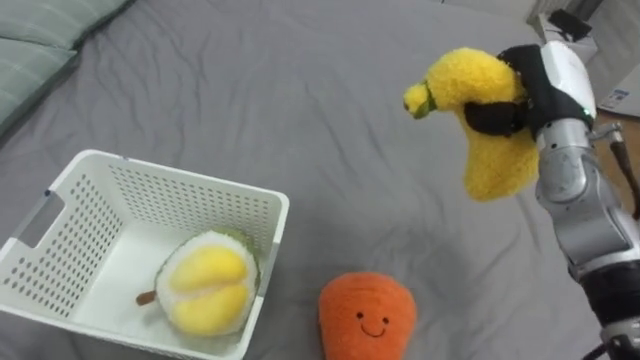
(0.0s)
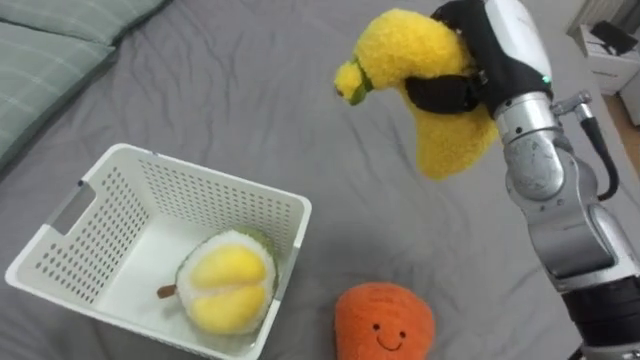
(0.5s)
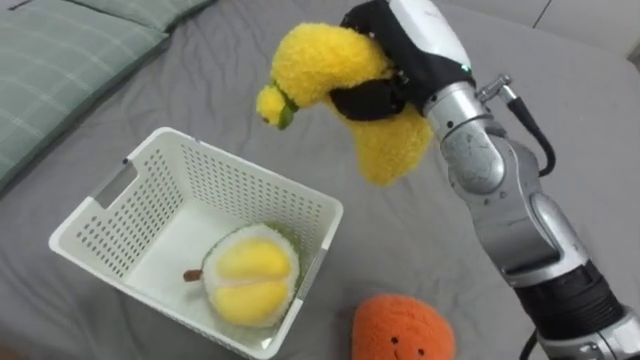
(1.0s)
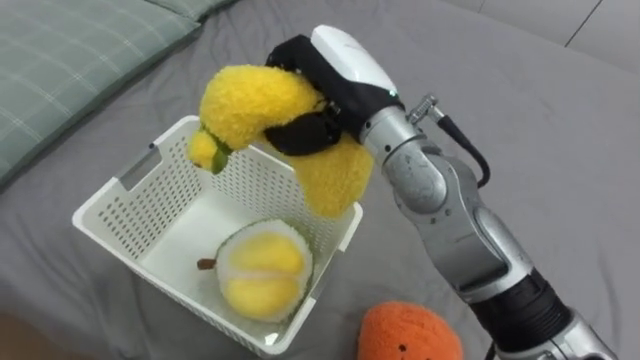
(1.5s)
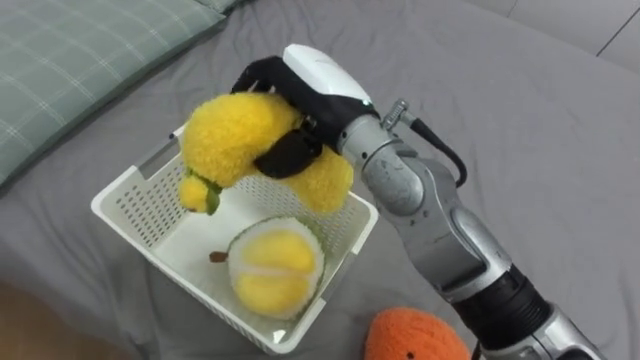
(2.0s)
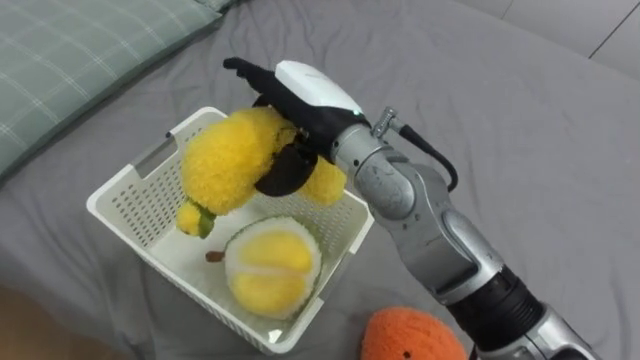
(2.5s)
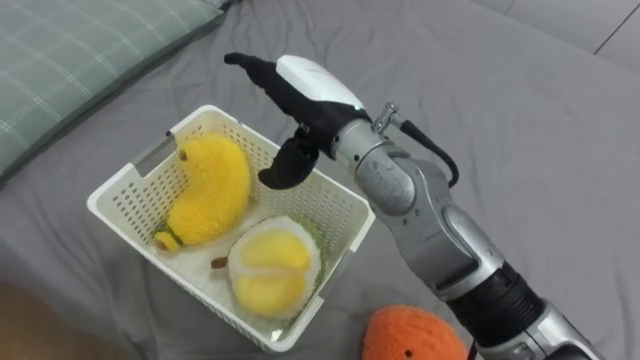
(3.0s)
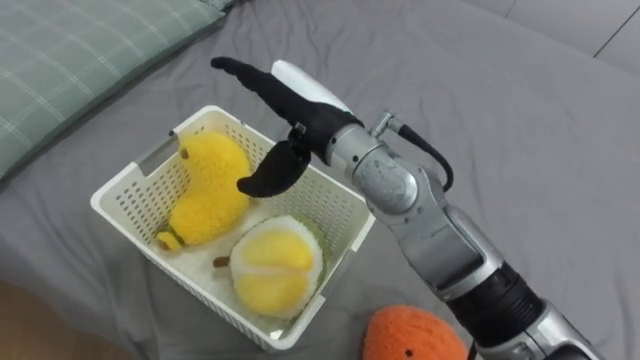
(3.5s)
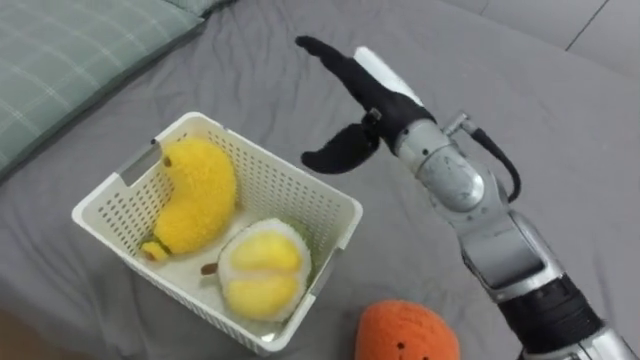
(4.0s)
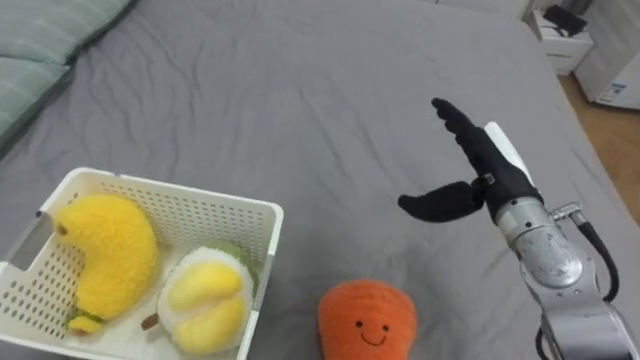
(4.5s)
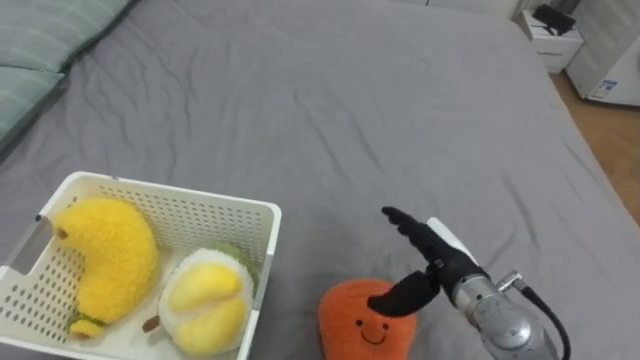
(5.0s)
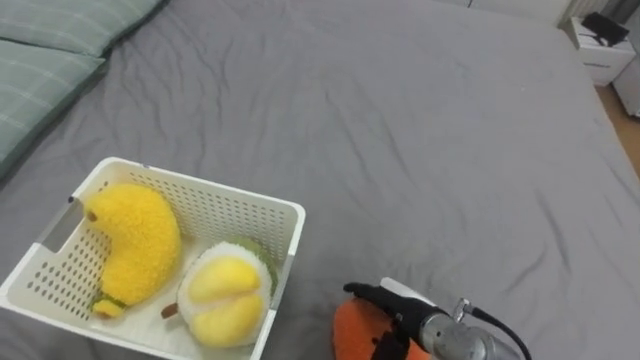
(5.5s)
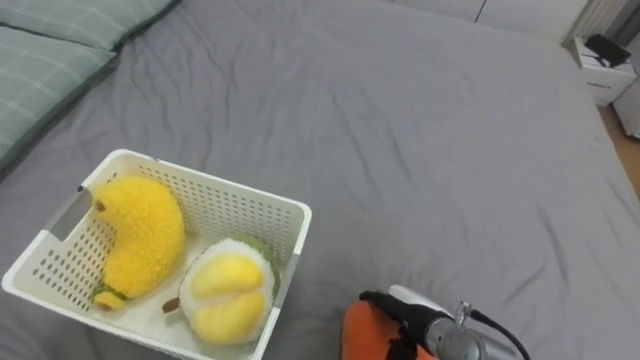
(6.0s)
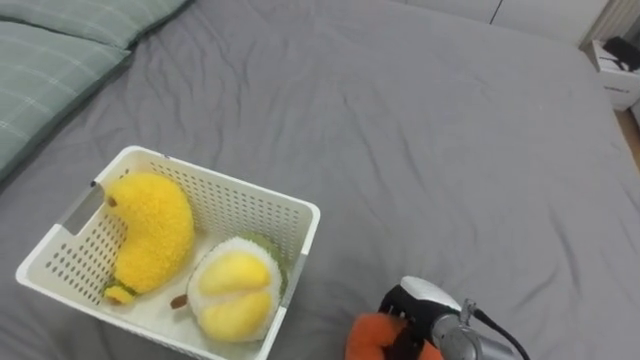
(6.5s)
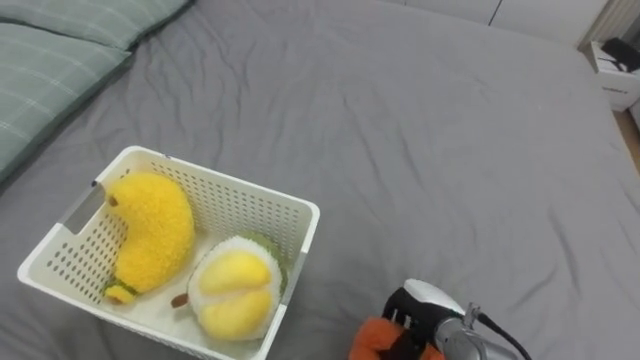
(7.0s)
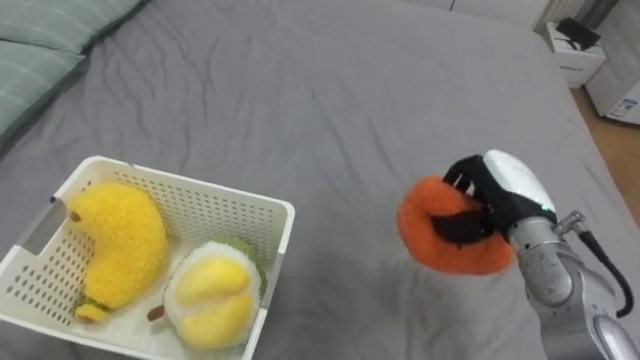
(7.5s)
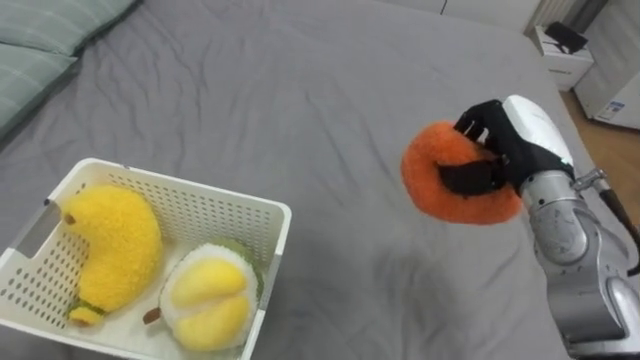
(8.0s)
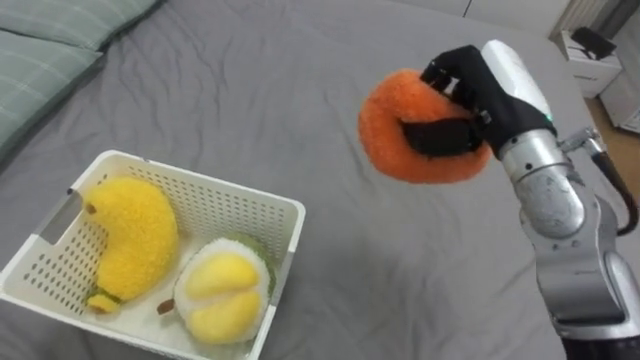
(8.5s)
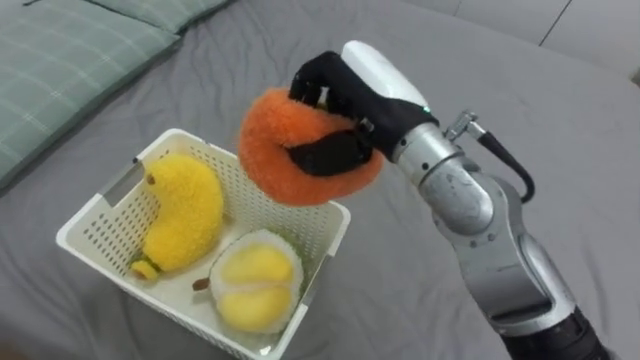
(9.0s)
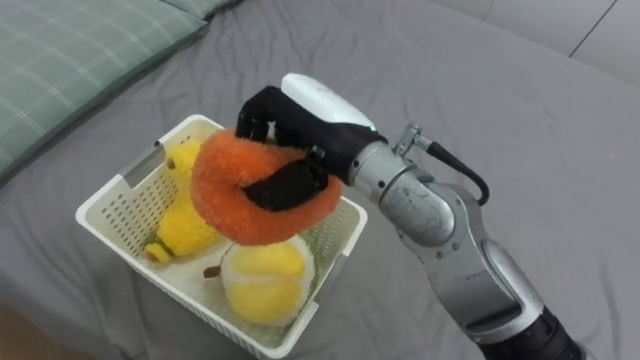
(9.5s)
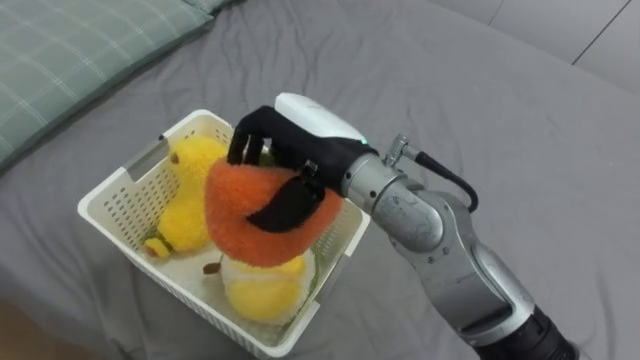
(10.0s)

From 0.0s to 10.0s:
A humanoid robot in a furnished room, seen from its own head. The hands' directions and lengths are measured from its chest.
Task of the whole recording: Put the toys on the bed into the basket on the left.
From 0.0s to 2.0s: The right hand goes roughly 25 cm to the left.
From 2.0s to 4.0s: The right hand goes roughly 5 cm to the right, and opens its fingers.
From 4.0s to 6.0s: The right hand is displaced downward and backward by about 30 cm.
From 6.0s to 8.0s: The right hand moves upward, forward and to the right, some 25 cm, and closes its fingers.
From 8.0s to 10.0s: The right hand heads to the left, covering some 25 cm.

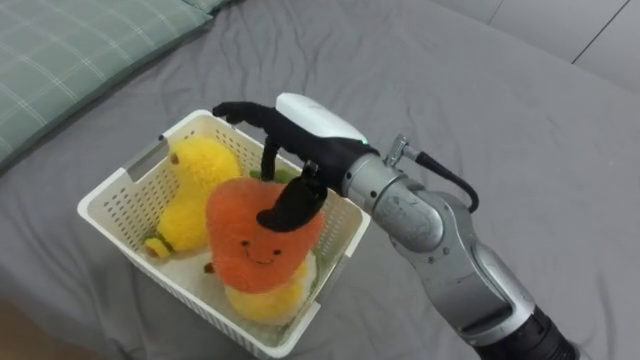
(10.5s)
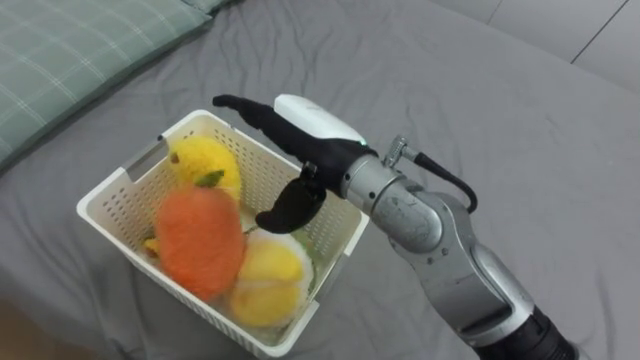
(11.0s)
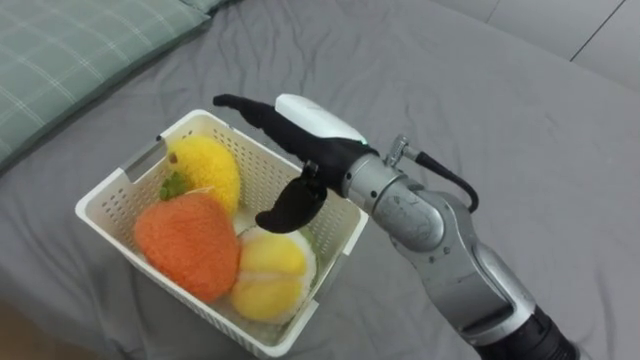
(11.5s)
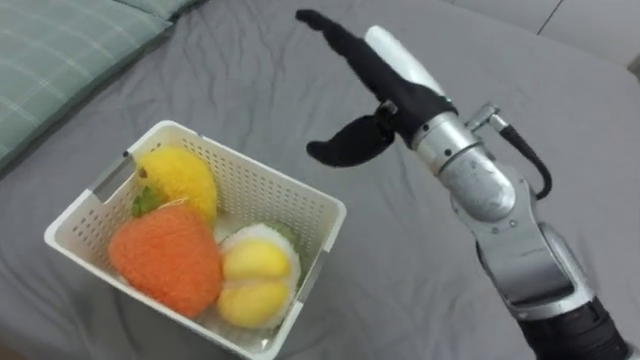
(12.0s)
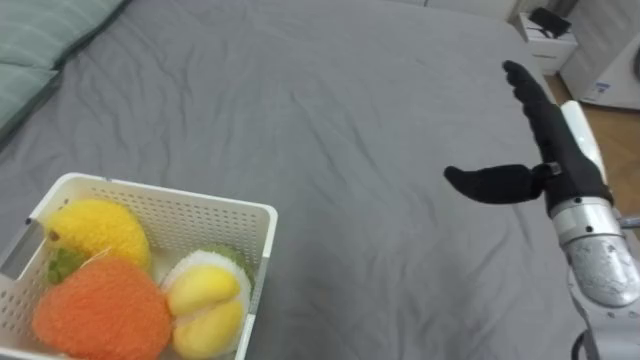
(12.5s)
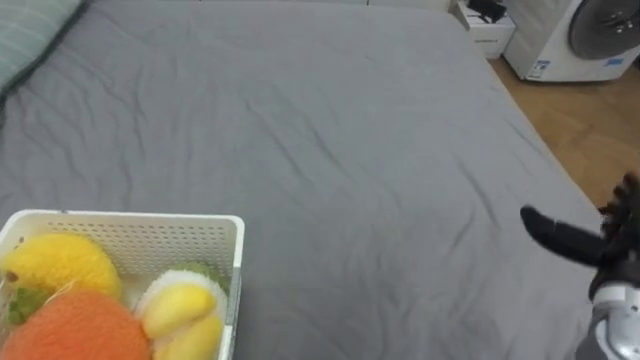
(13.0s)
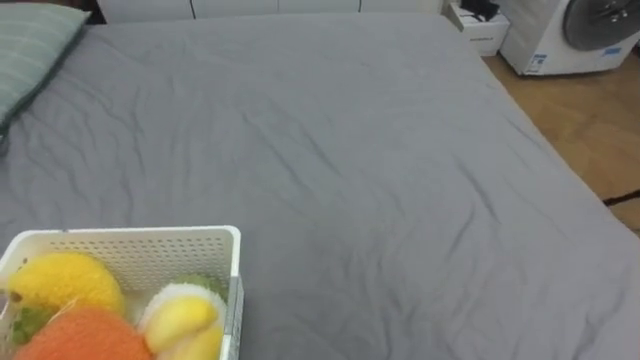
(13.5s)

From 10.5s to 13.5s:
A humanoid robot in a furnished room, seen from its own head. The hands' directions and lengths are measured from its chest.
Task of the whole recording: Put the toys on the bed into the basket on the left.
From 10.5s to 12.0s: The right hand heads to the right, covering some 10 cm.
